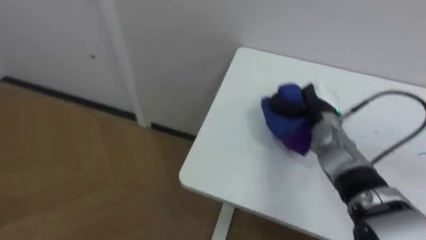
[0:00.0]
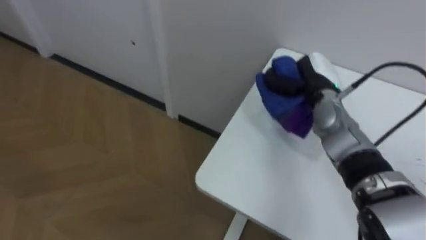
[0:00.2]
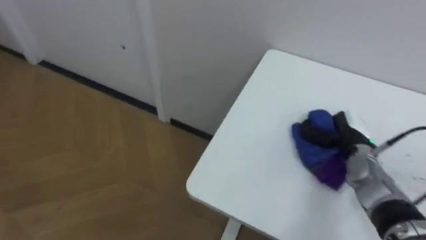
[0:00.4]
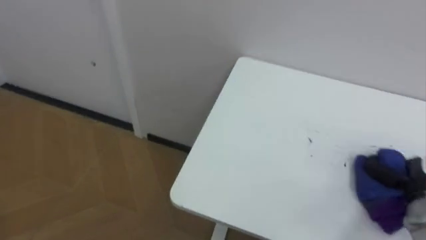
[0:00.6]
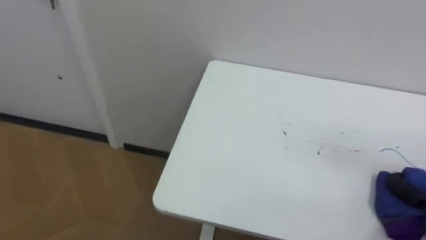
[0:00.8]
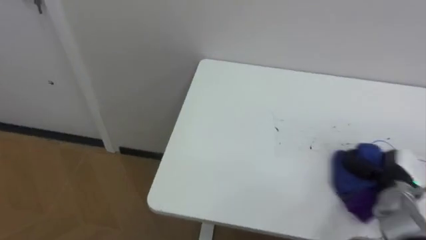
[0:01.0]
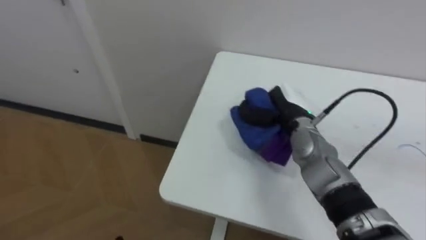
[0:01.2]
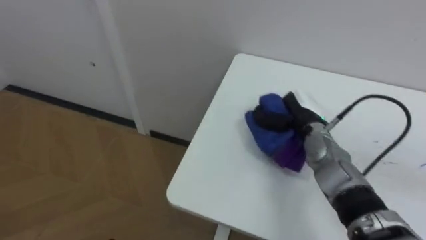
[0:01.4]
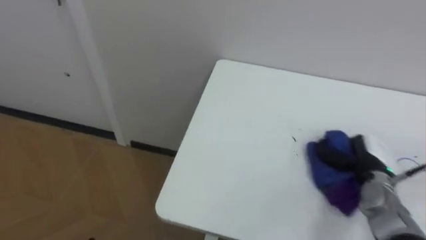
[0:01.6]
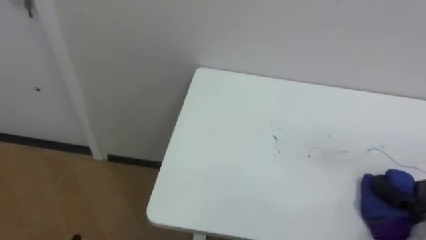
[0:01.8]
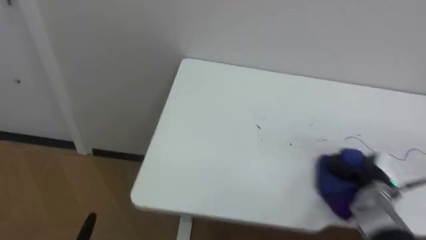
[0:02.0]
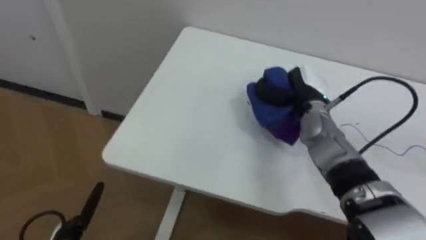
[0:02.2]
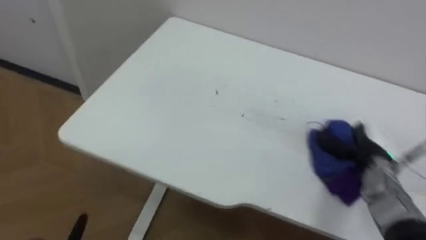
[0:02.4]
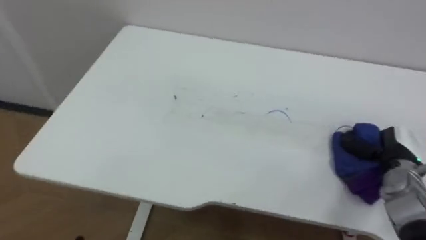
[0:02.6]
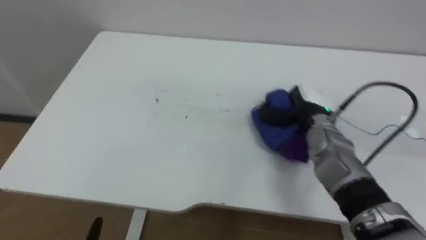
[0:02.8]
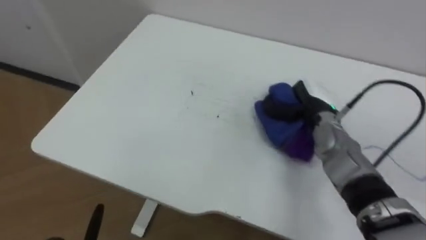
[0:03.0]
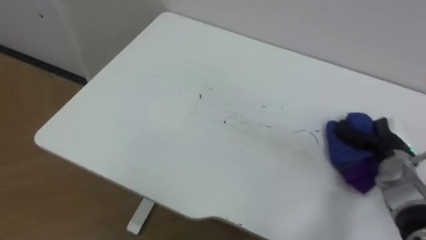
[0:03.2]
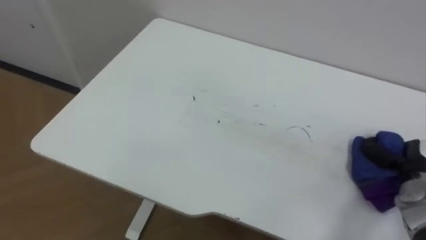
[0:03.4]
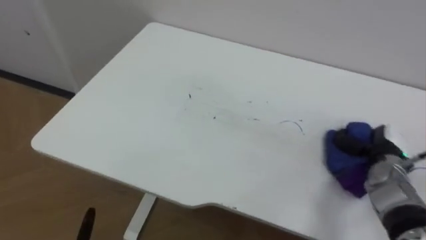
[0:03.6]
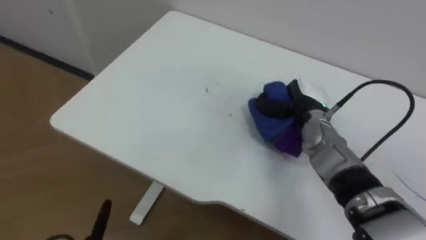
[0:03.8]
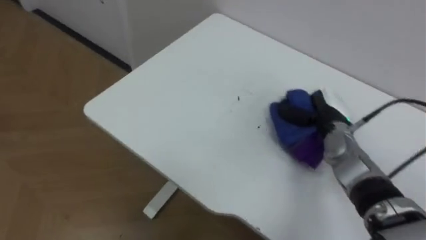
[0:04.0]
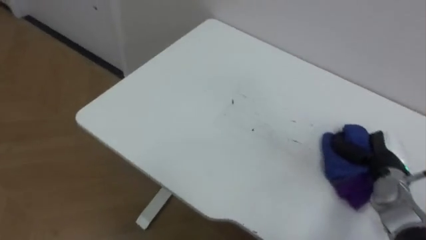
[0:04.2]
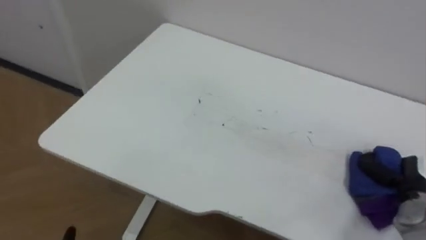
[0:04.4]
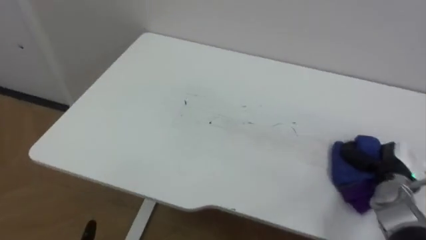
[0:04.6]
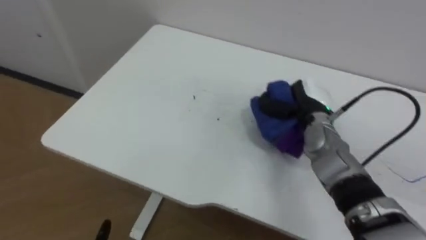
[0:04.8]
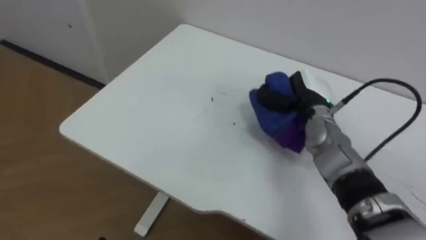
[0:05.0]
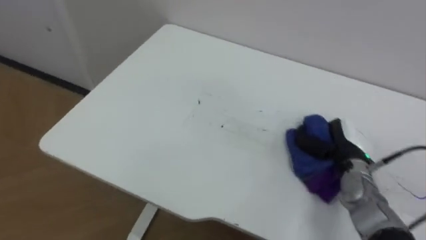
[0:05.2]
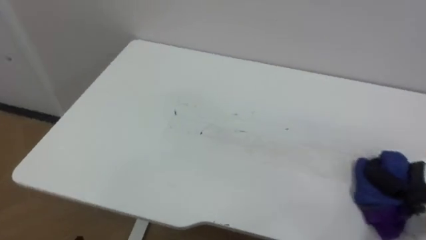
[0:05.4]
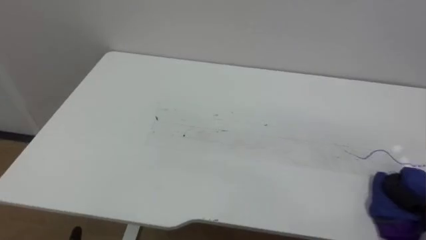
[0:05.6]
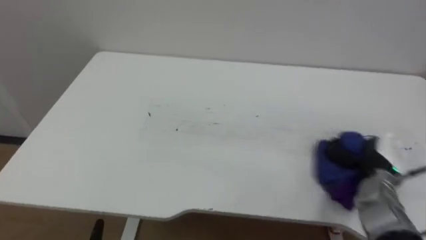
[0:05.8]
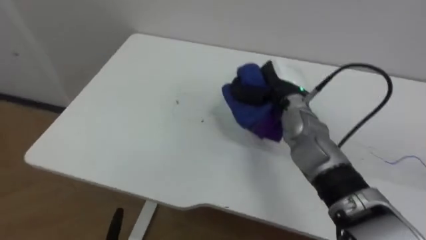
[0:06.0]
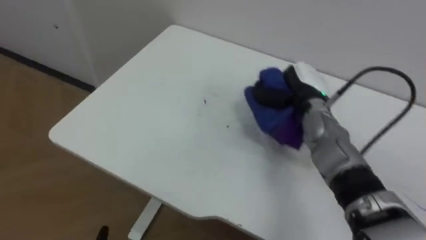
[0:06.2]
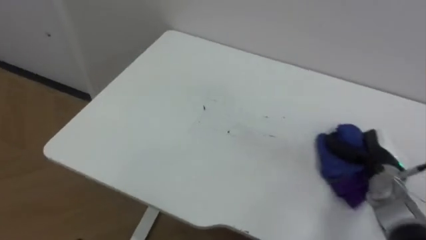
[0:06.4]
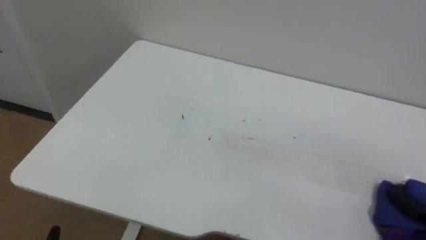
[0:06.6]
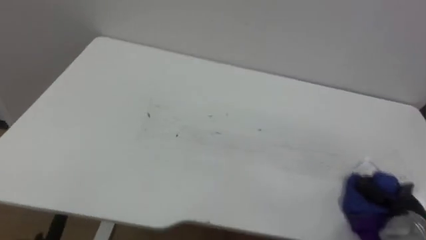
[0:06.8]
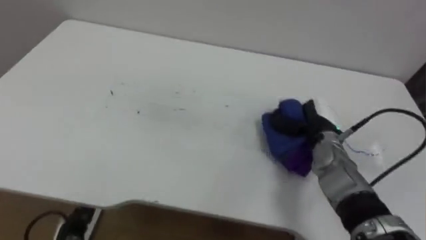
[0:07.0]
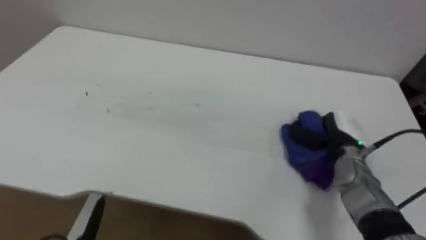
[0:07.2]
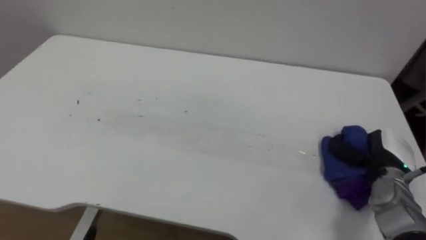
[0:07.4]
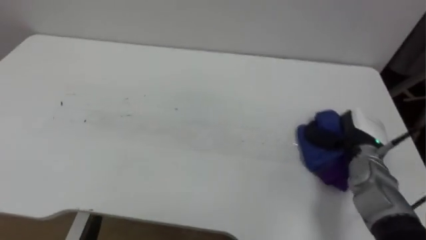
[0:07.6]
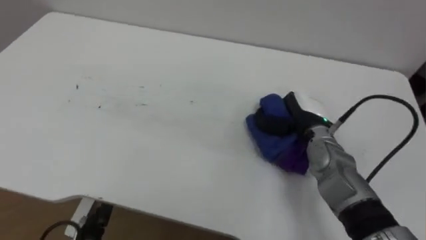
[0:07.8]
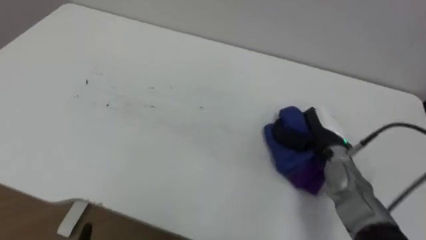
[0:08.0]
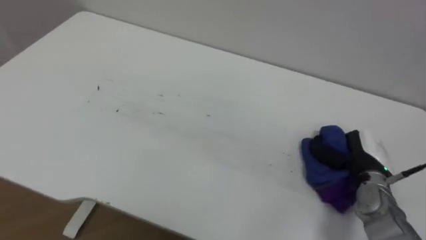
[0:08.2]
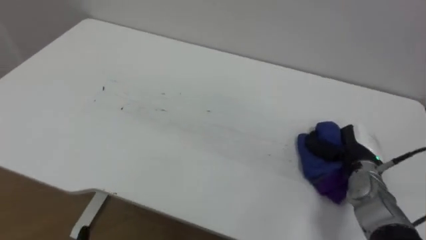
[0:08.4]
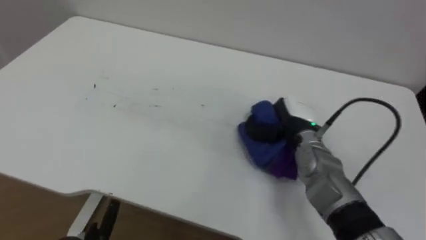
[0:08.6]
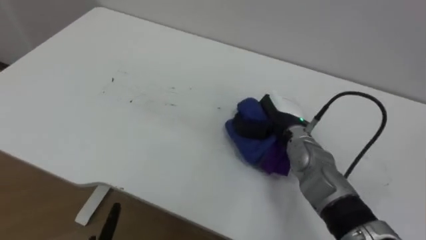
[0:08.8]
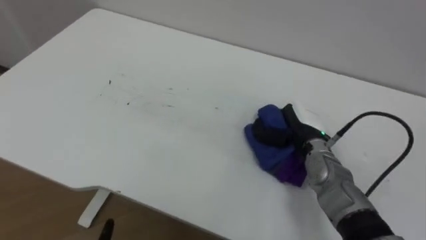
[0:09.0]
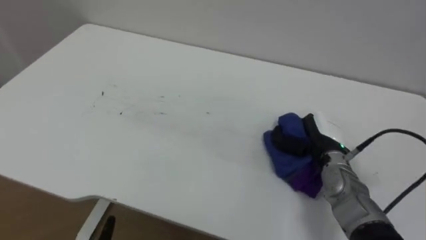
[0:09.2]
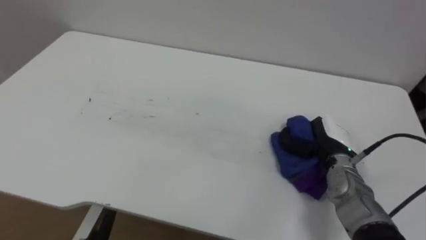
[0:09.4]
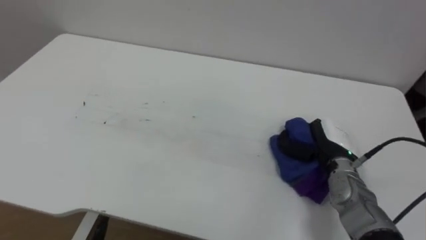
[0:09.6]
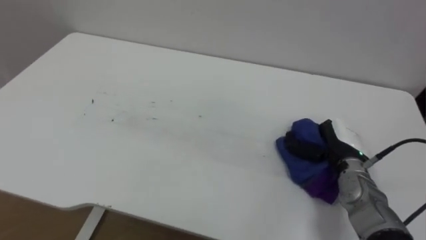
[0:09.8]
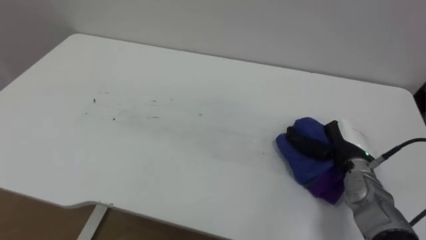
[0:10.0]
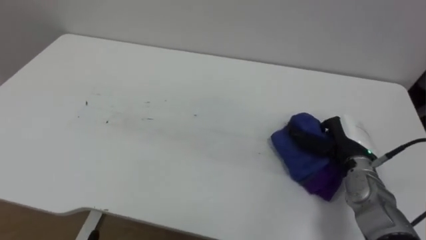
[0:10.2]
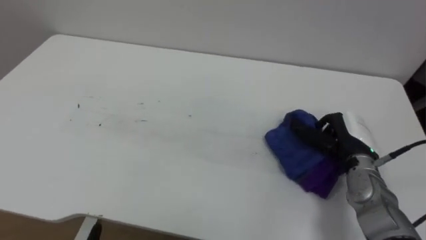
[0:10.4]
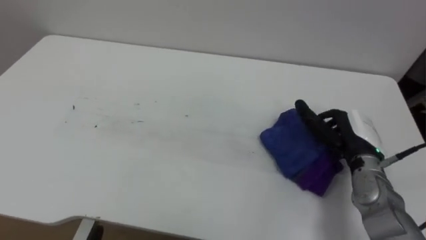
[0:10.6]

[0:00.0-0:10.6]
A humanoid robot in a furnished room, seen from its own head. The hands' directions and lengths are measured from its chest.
Task of the whole recording: Wipe the blue pen marks off the table with the rag.
0:01.6 to 0:03.0: The right hand swings left and right, roughly 20 cm each way, with 3 reversals.
0:03.0 to 0:04.6: The right hand moves left and right over roughly 20 cm, changing direction 2 times.
0:07.6 to 0:09.0: The right hand swings left and right, some 15 cm each way, with 3 reversals.
0:09.0 to 0:10.6: The right hand goes approximately 10 cm to the right, and opens up.

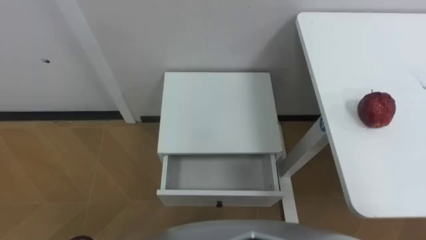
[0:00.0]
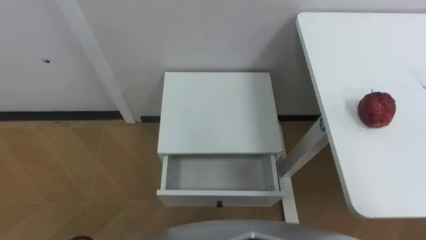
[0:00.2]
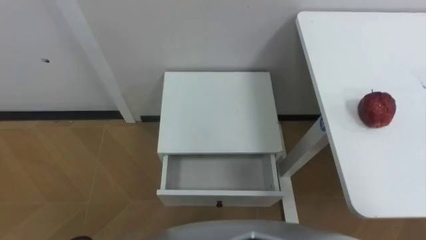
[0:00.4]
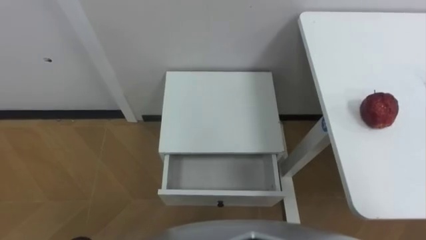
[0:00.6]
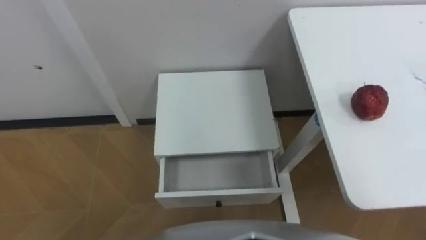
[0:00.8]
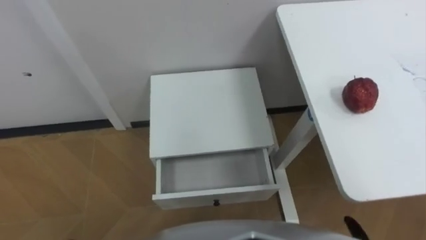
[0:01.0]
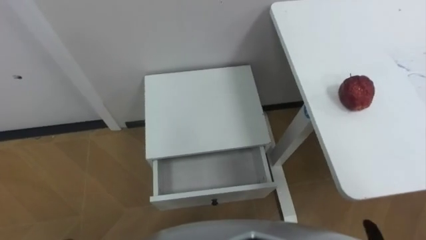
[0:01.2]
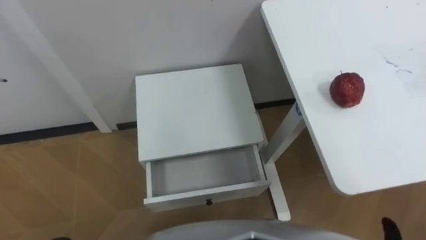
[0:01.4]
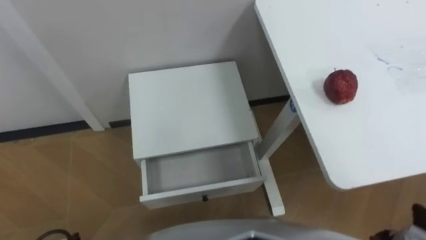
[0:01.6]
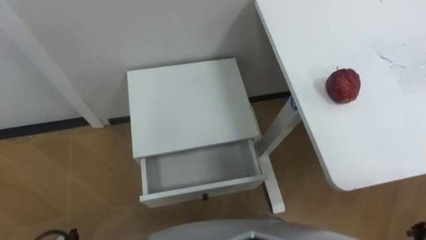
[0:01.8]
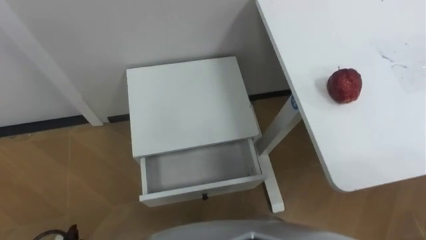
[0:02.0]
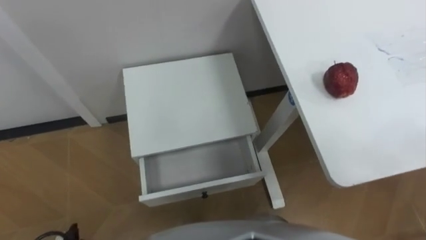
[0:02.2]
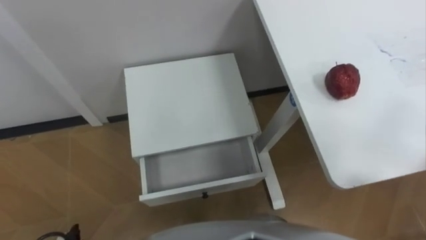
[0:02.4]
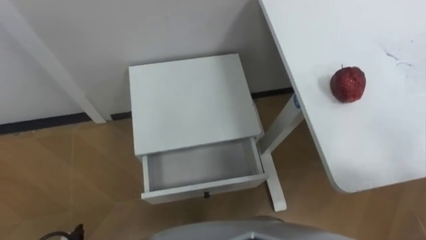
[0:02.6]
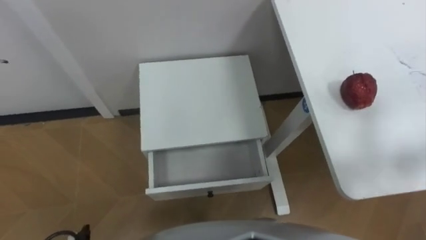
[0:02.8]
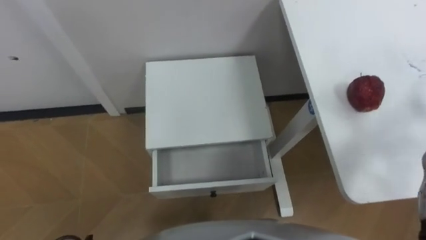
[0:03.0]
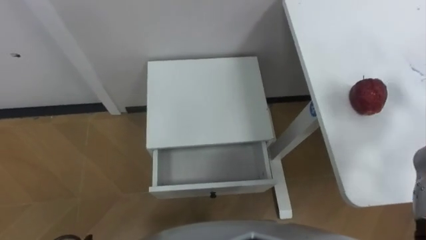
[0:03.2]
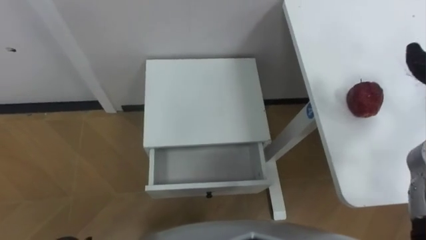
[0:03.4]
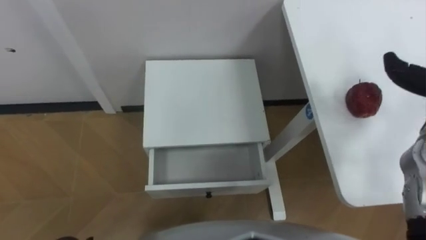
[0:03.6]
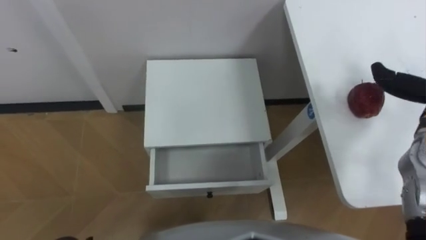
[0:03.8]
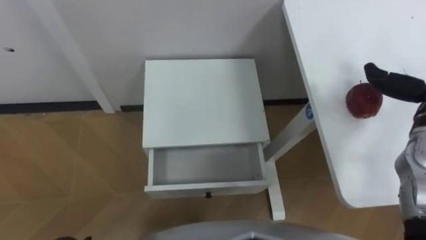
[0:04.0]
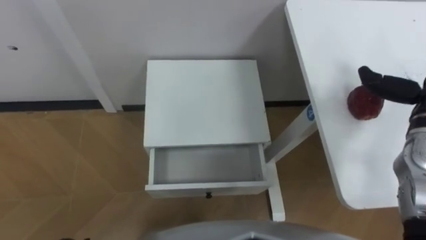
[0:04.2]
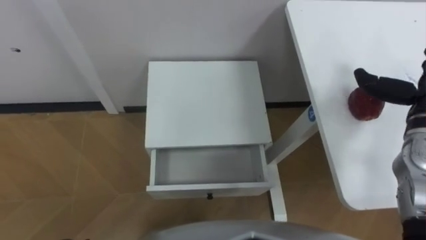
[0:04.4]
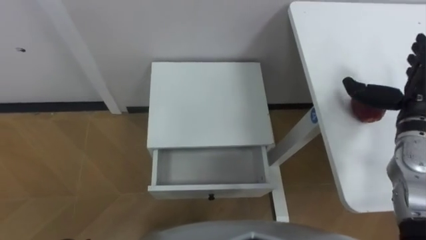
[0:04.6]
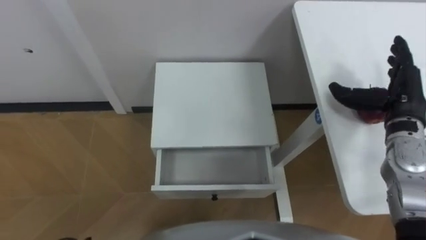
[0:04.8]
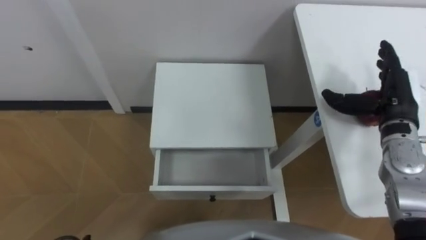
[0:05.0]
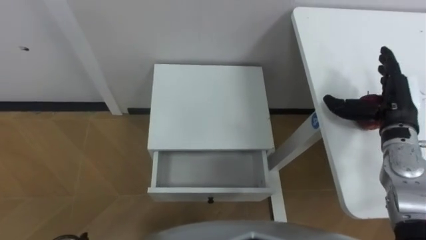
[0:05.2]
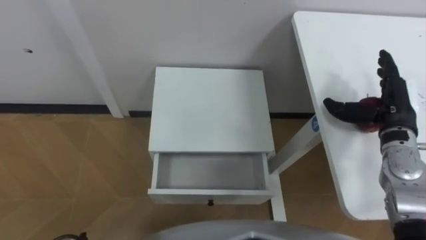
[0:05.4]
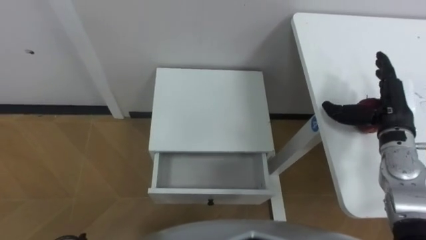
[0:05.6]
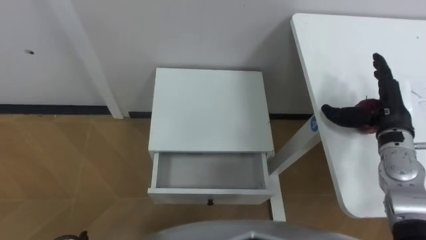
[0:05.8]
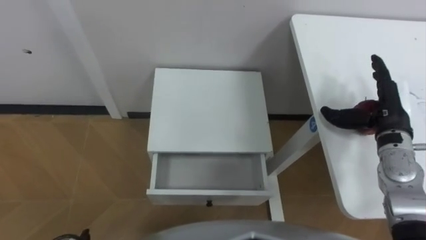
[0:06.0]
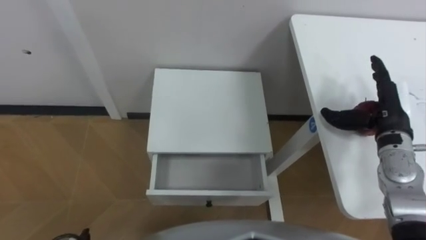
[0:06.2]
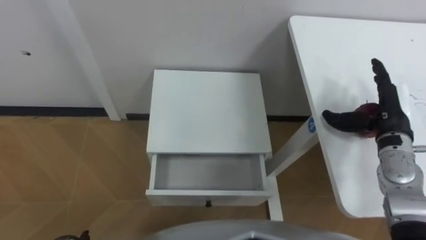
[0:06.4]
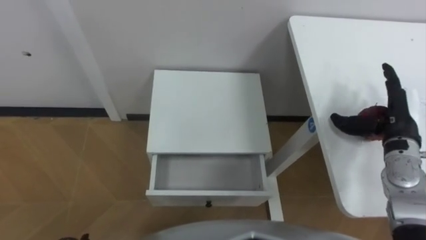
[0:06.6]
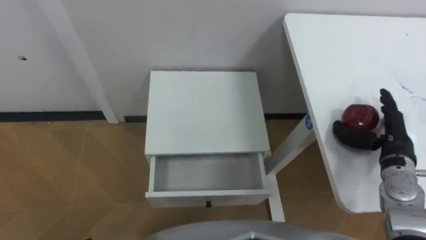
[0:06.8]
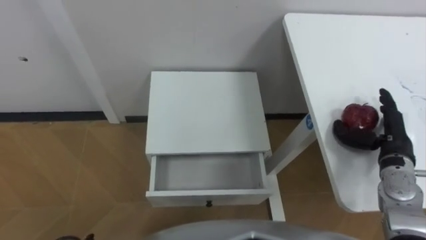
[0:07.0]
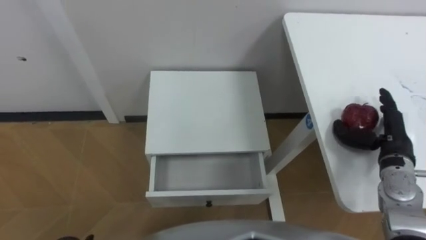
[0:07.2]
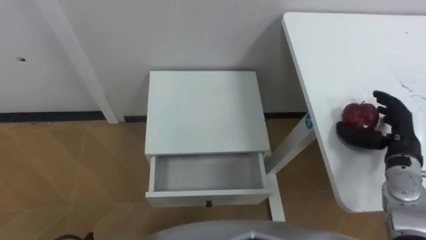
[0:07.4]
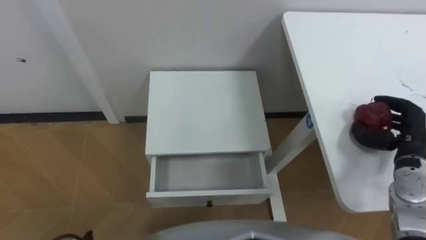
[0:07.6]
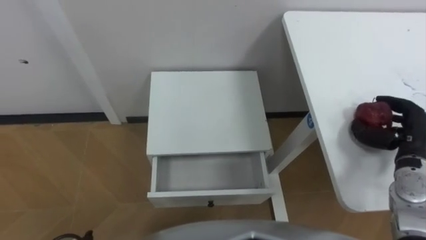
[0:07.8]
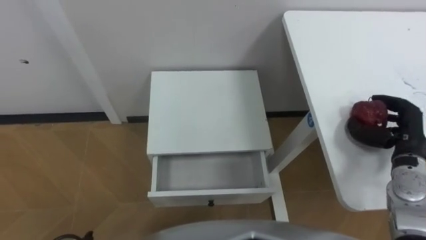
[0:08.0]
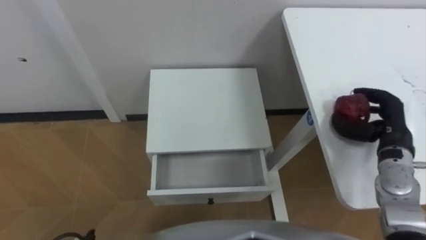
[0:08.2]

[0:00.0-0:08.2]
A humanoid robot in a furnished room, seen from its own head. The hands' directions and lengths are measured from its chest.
Task of the whole recording: Pick up the apple from the table, put it in the drawer, and close the drawer with leg.
0:06.6 to 0:08.2: The right hand closes its fingers.
